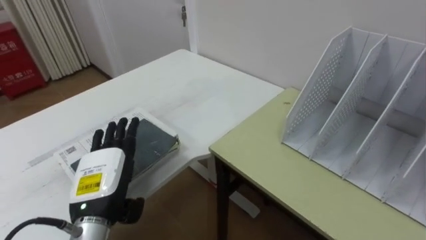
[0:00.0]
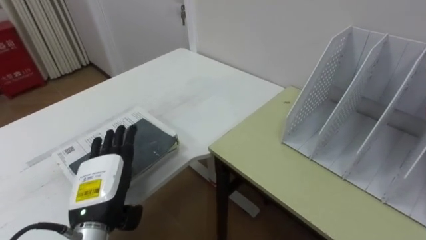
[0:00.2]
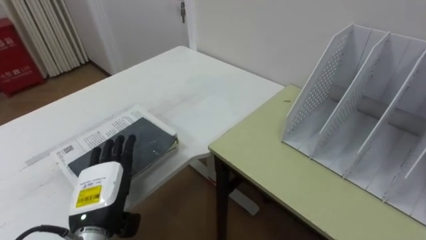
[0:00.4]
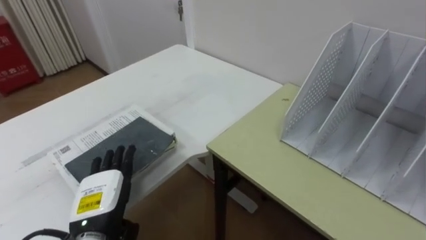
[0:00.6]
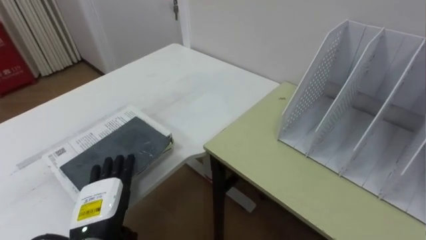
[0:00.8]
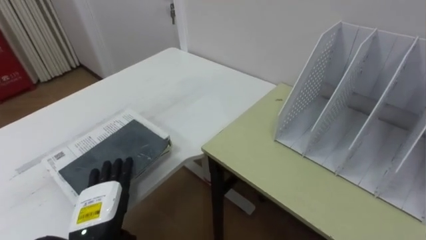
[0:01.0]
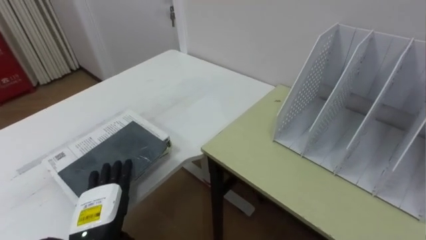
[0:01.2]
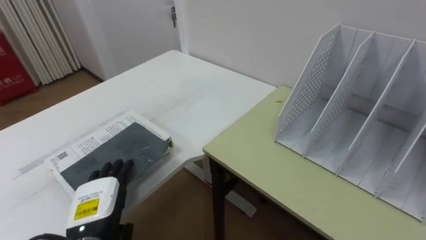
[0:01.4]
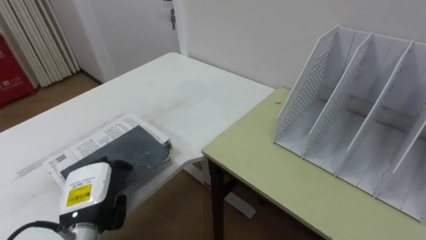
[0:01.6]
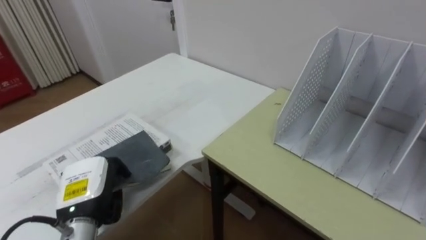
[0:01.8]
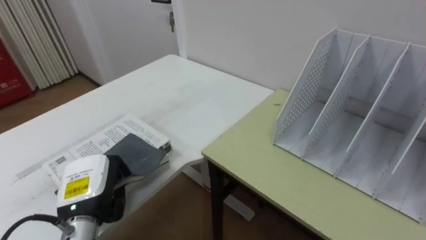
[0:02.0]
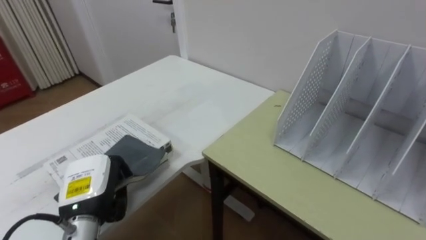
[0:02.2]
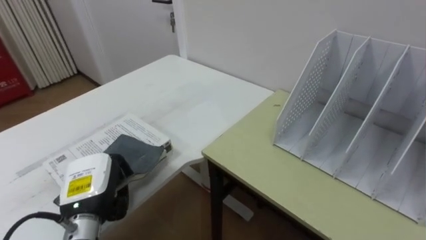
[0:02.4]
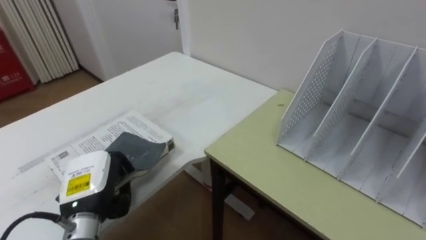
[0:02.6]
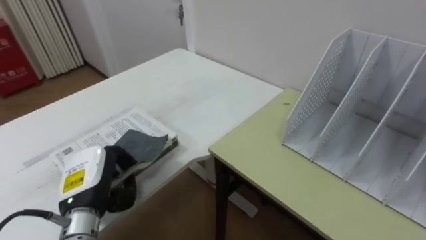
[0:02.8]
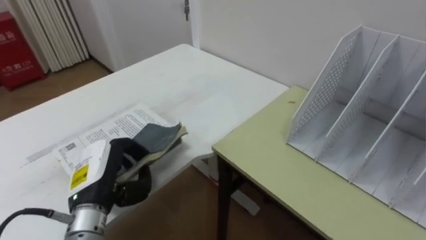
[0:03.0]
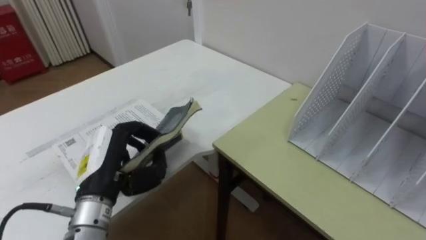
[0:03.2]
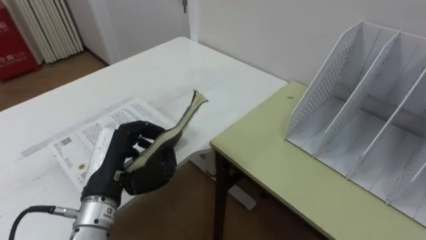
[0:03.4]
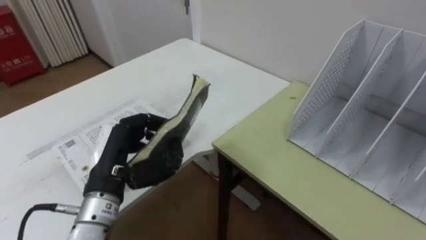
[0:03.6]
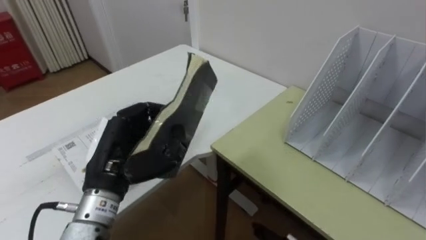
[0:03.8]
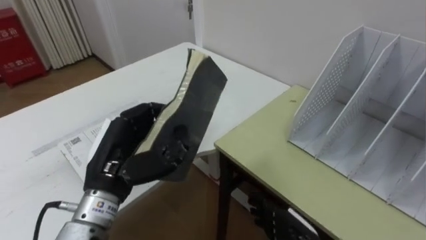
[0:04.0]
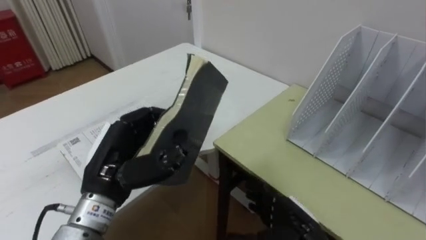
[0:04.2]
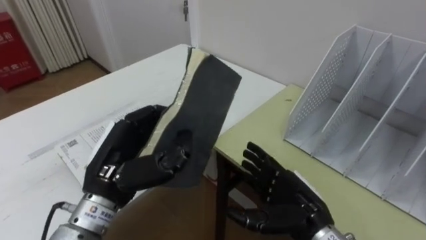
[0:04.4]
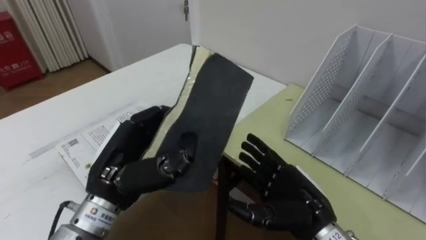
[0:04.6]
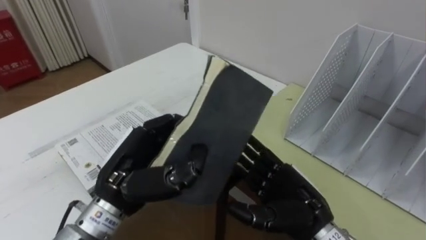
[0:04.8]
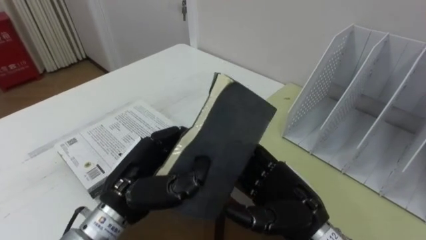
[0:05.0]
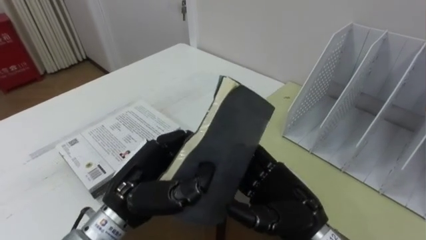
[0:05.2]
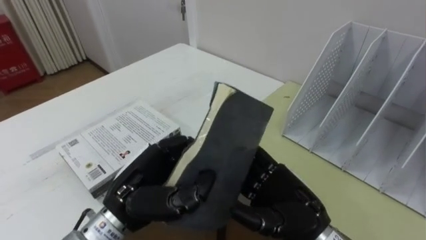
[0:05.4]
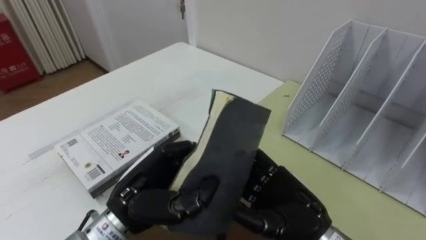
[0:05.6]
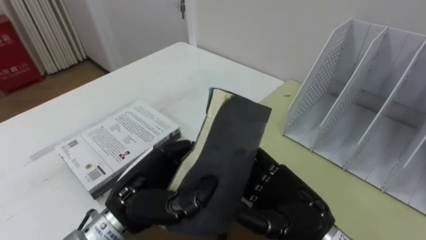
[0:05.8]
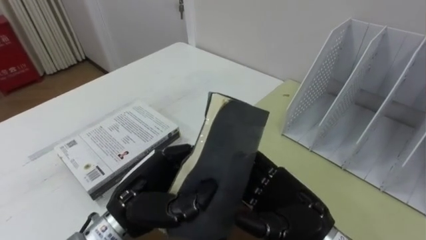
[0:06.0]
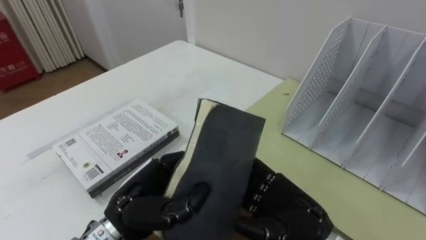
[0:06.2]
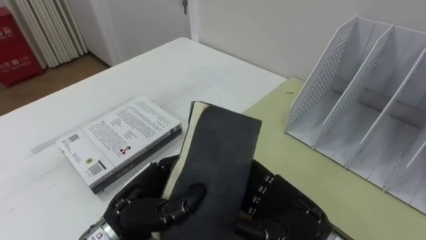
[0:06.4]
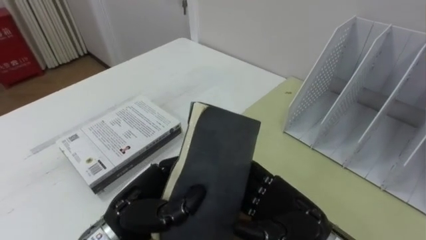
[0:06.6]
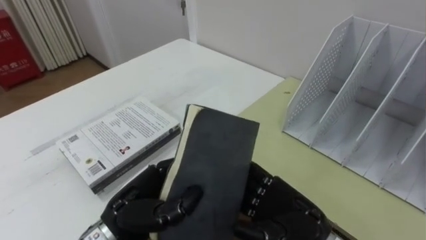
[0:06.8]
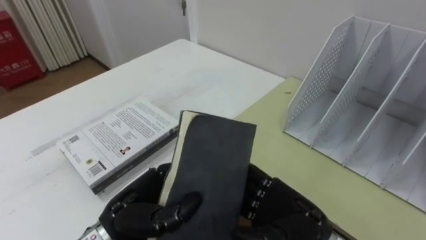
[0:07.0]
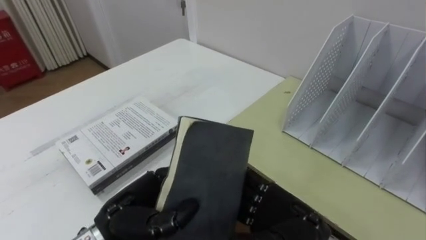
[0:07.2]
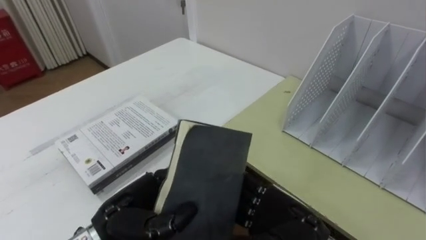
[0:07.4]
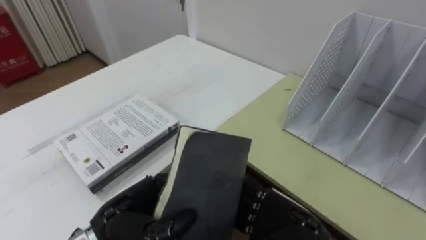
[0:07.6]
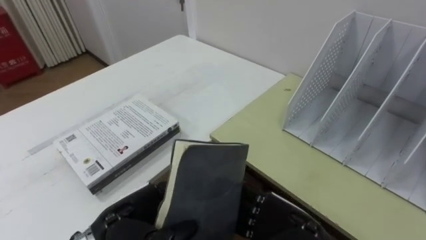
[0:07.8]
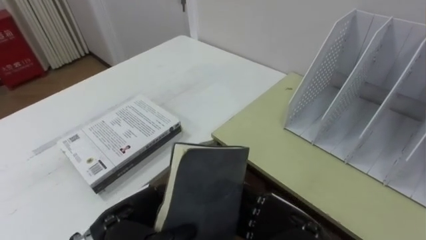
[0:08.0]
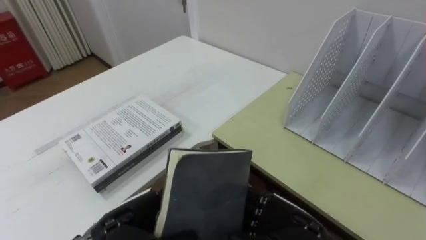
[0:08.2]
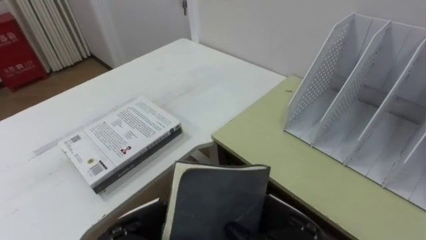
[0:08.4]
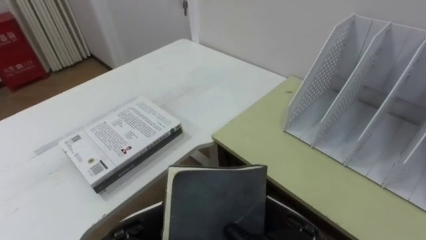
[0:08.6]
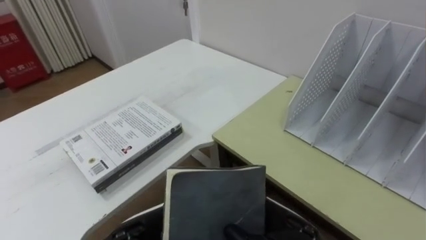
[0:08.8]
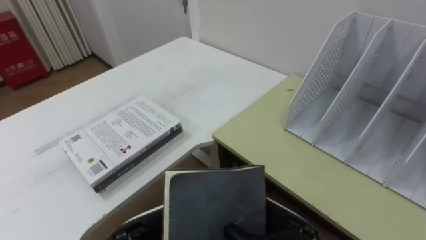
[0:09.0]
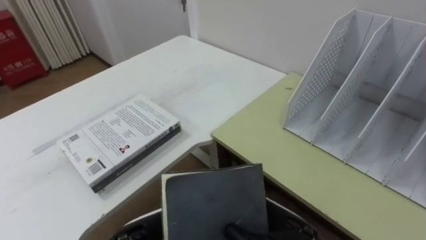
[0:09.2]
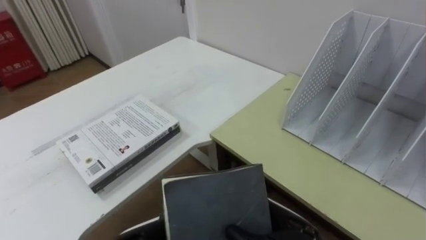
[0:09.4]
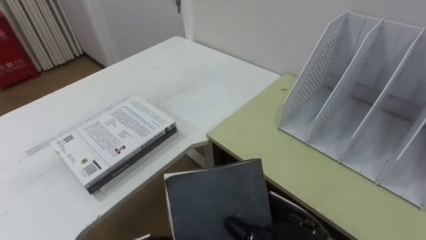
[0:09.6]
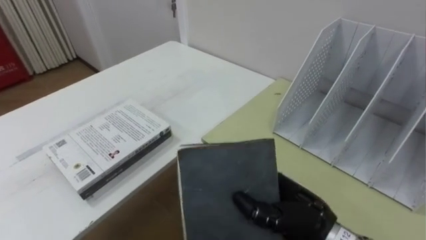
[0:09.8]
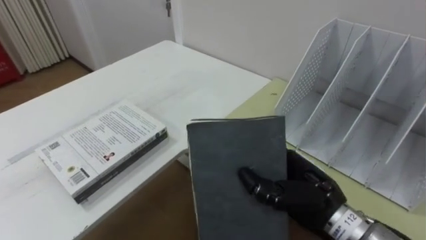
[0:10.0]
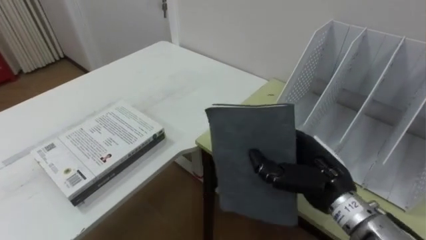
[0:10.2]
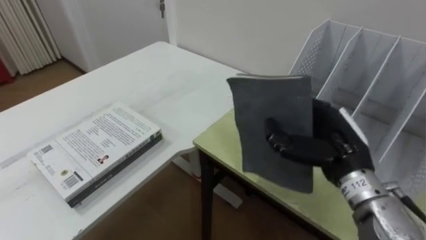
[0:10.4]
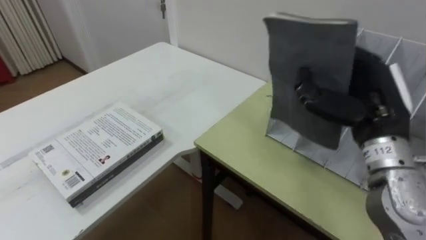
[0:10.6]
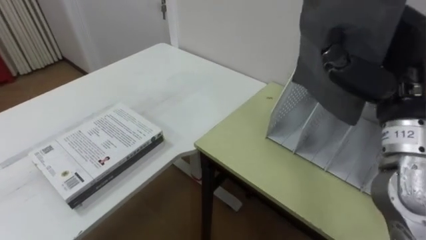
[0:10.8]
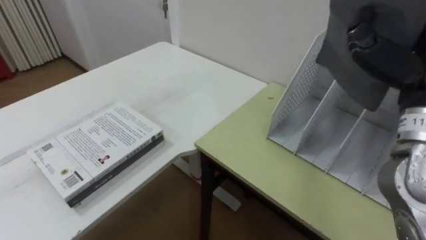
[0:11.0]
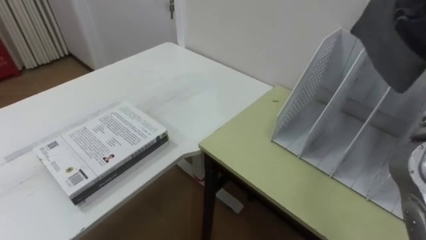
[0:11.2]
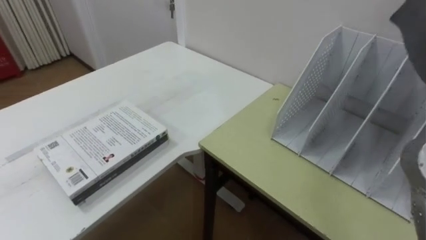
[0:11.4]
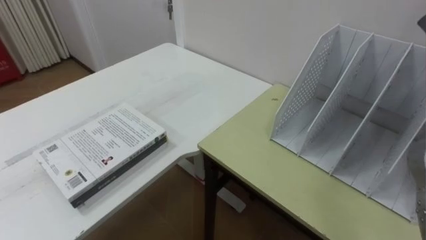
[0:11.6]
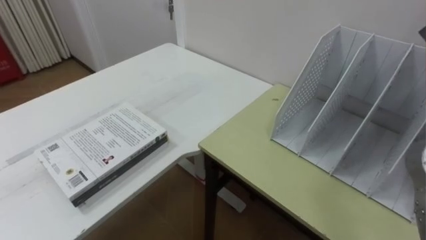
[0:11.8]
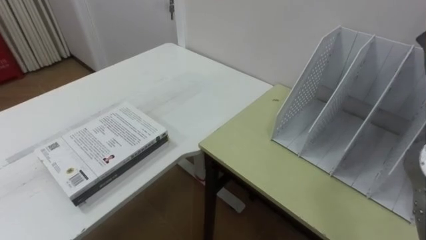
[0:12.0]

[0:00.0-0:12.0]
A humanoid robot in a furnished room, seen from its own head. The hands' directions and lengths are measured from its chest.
Task of the whole recording: Put the books on the table onto the bookshelf.
0:00.0 to 0:01.6: The left hand shifts some 5 cm downward.
0:01.6 to 0:03.0: The left hand moves some 5 cm, and closes its fingers.
0:03.0 to 0:04.4: The left hand heads upward and to the right, covering approximately 10 cm.
0:04.4 to 0:06.0: The left hand ends up about 5 cm from where it was. The right hand goes some 5 cm upward.
0:06.0 to 0:07.6: The hands make only small movements.
0:07.6 to 0:09.0: The right hand closes its fingers.
0:09.0 to 0:10.4: The right hand travels forward, to the right and upward by some 15 cm.

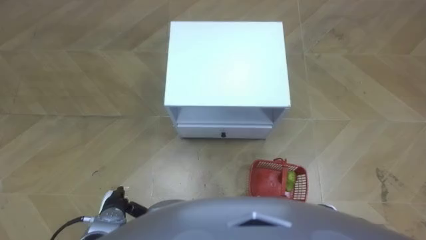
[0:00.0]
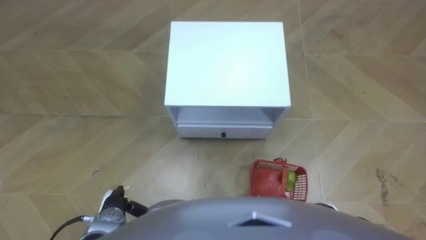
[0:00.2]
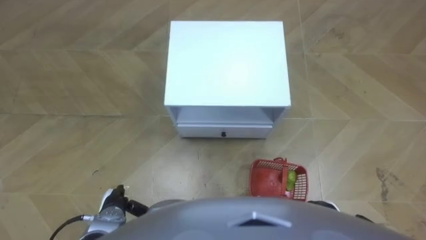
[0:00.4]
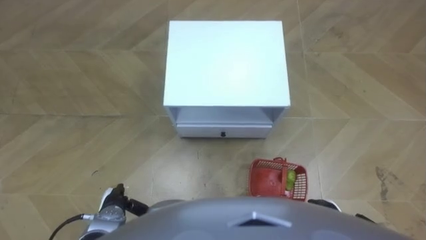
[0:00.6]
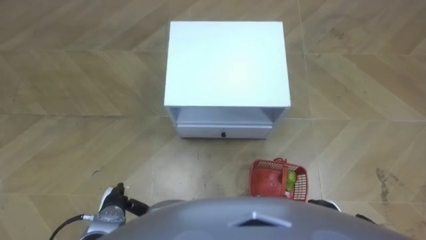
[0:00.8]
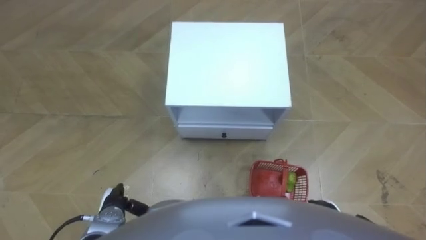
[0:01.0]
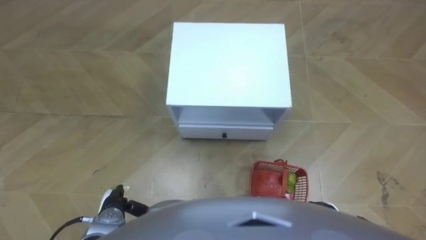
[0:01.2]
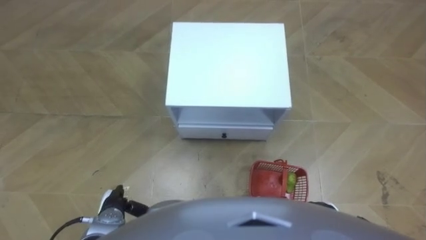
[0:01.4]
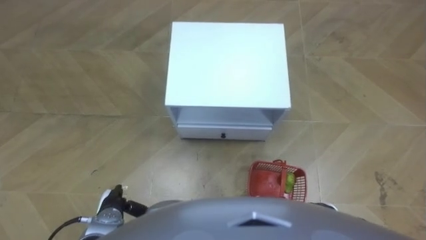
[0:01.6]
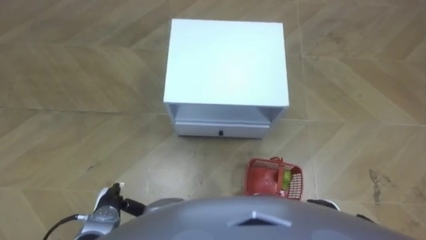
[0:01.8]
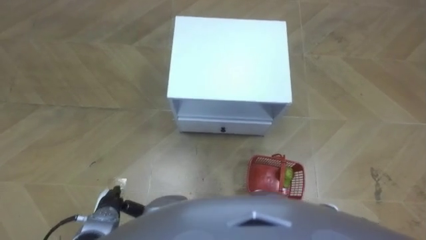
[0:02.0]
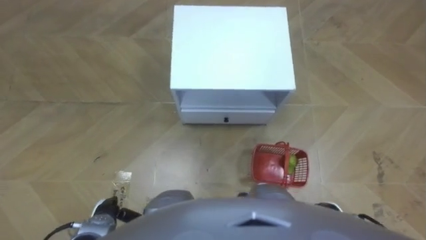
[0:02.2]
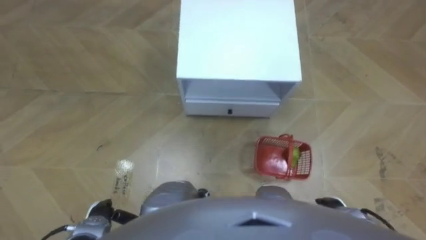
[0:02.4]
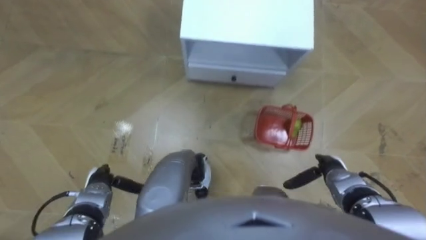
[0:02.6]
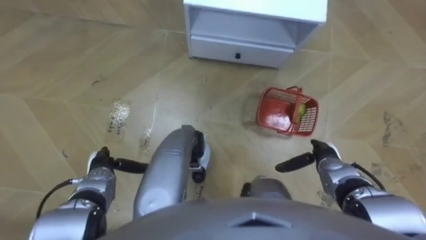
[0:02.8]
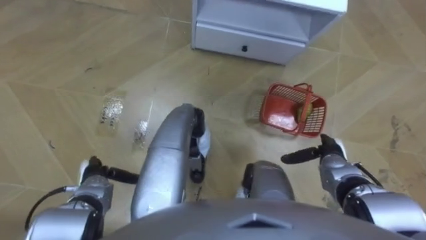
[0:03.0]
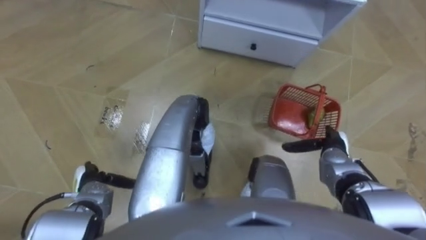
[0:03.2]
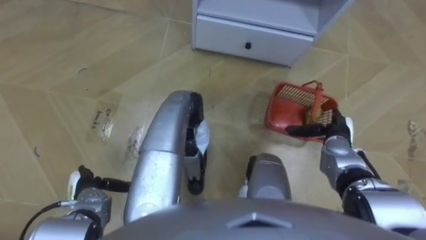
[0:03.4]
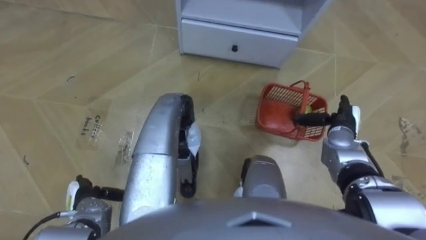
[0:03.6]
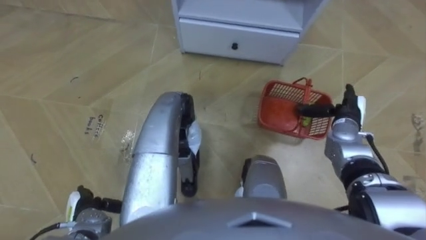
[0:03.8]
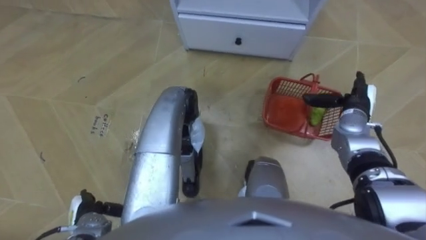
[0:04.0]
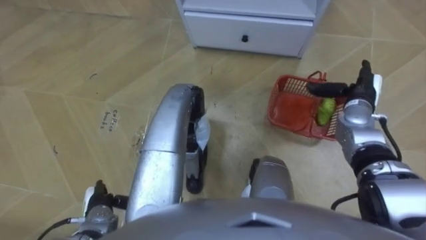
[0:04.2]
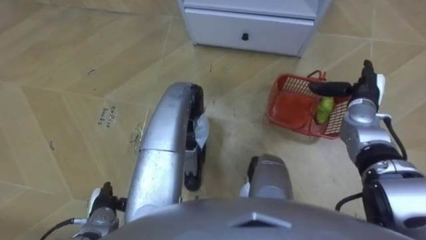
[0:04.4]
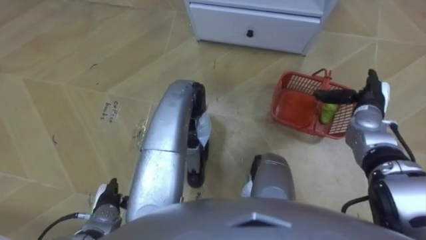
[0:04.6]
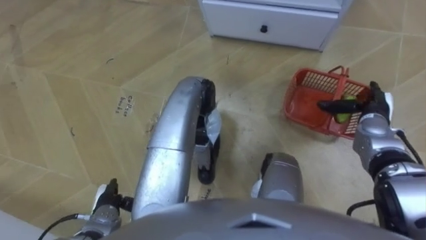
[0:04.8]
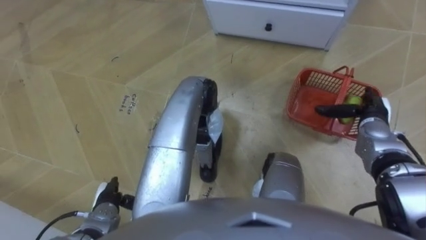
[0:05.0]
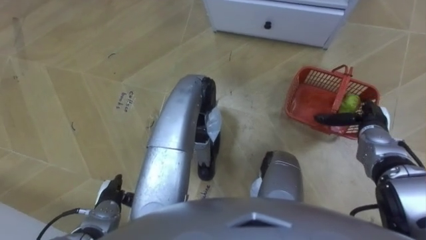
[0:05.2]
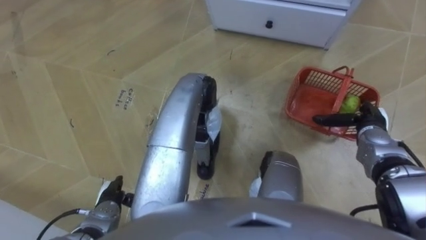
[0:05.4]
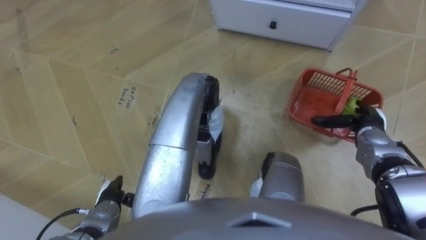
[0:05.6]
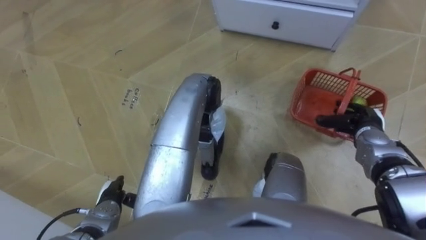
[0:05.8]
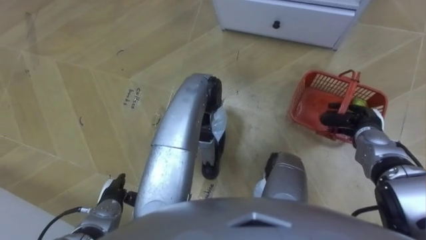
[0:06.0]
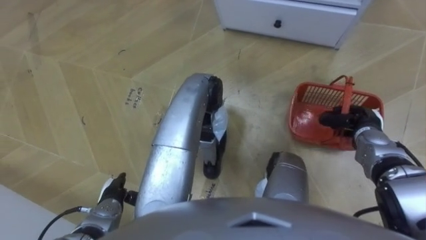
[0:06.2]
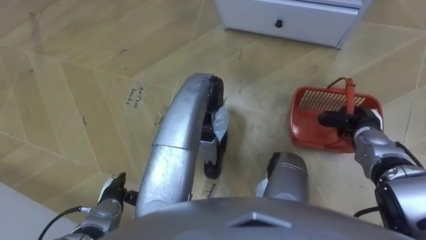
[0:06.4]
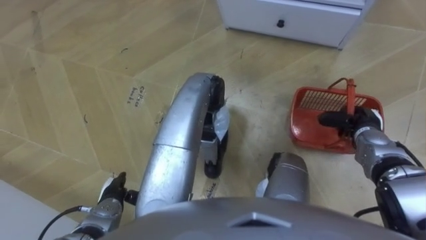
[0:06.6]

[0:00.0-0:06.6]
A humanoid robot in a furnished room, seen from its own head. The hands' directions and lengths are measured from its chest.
Task of the whole recording: Pick up the fruit basket from the floor and place it on the cabinet.
0:01.6 to 0:03.2: The right hand travels forward by some 15 cm; the left hand heads forward, covering approximately 5 cm.
0:03.2 to 0:05.0: The left hand shifts by some 5 cm, while the right hand travels to the right, forward and upward by roughly 10 cm.
0:05.0 to 0:06.6: The right hand closes.
